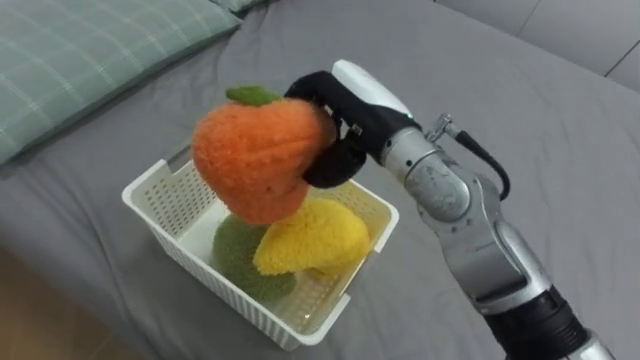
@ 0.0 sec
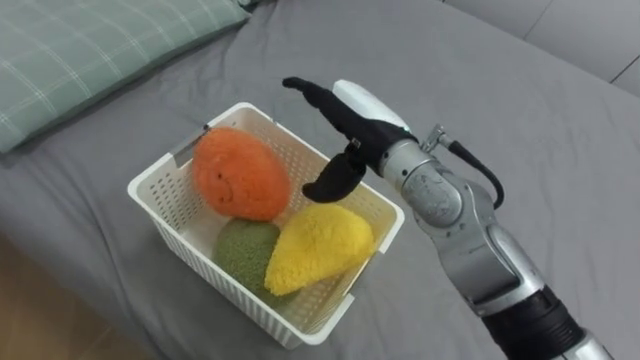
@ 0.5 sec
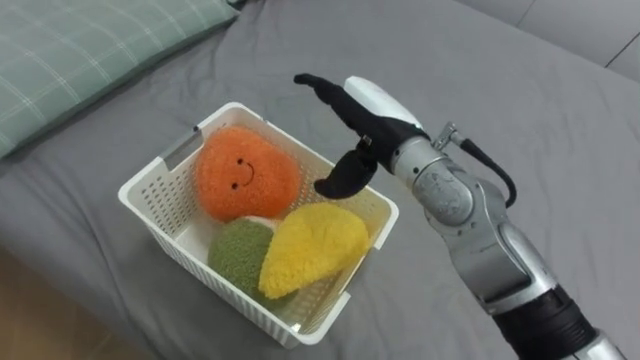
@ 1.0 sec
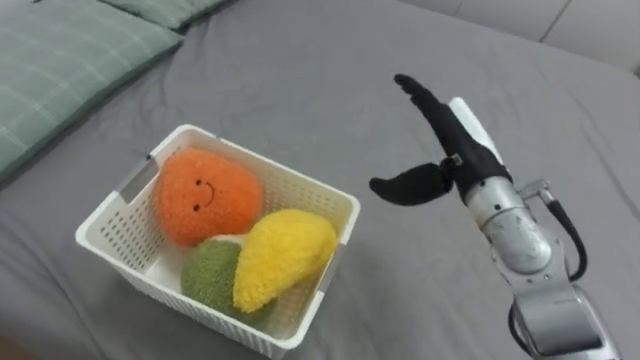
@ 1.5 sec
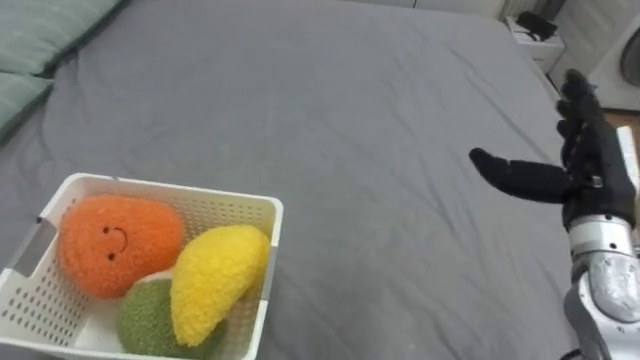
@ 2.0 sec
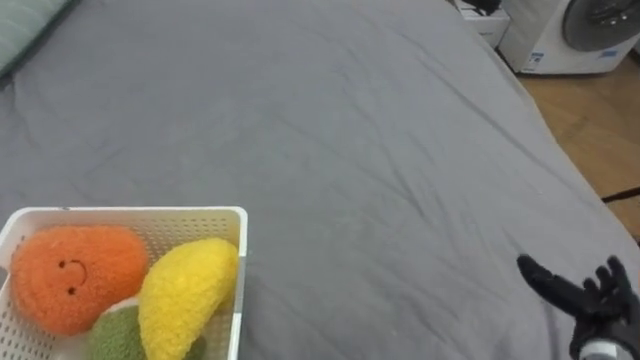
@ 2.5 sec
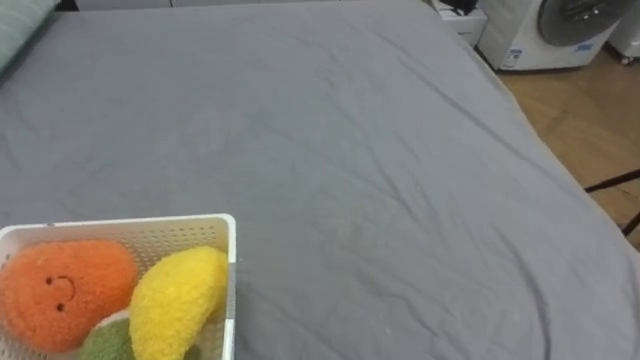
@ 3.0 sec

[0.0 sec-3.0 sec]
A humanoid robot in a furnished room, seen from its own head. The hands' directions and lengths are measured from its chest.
Task of the whole recording: Put the toys on the bed into the basket on the left.
0.0 sec to 1.5 sec: The right hand moves to the right and downward, about 15 cm, and opens up.

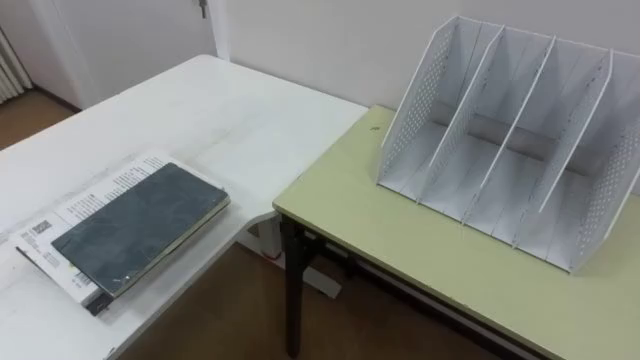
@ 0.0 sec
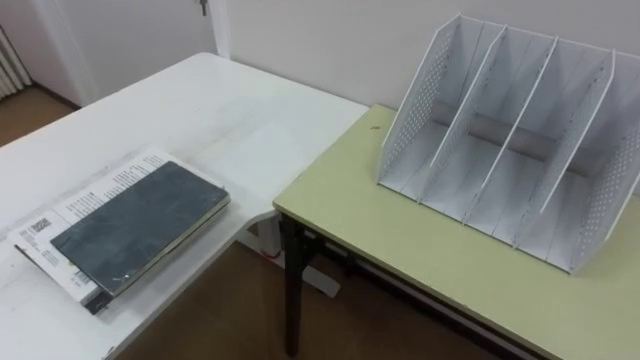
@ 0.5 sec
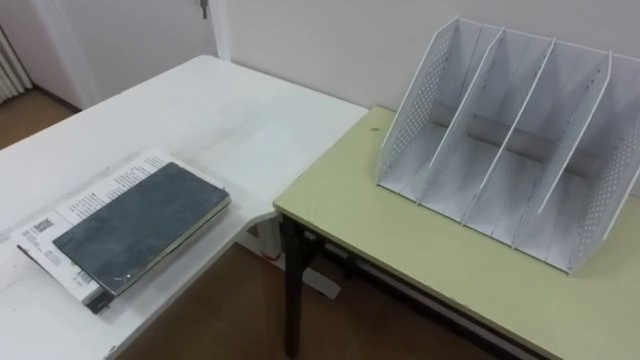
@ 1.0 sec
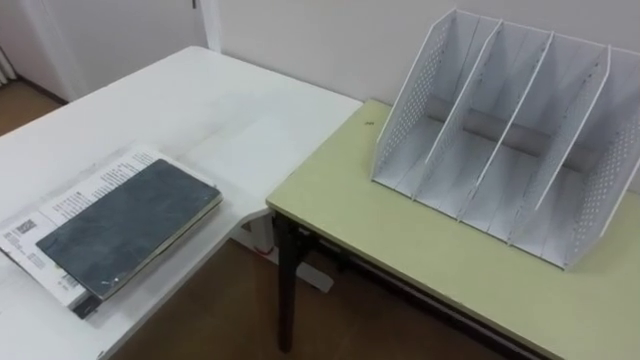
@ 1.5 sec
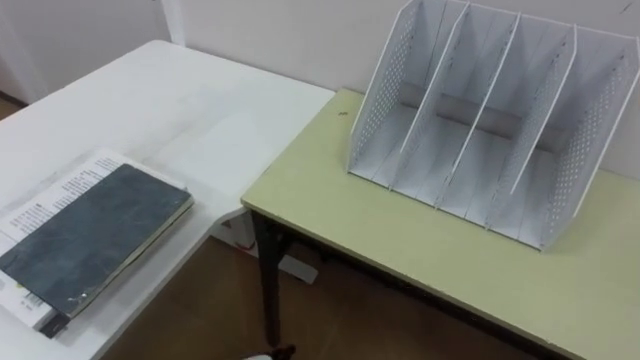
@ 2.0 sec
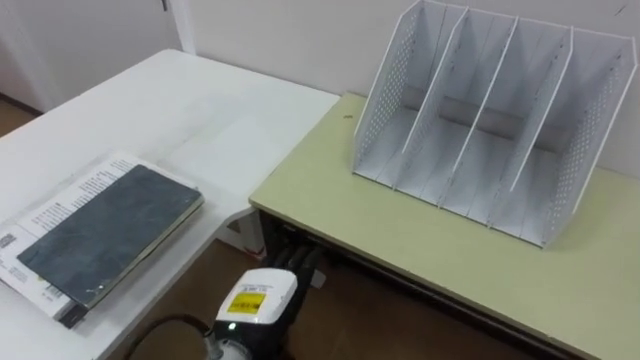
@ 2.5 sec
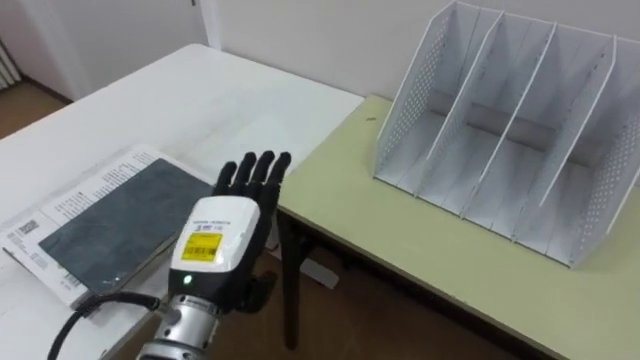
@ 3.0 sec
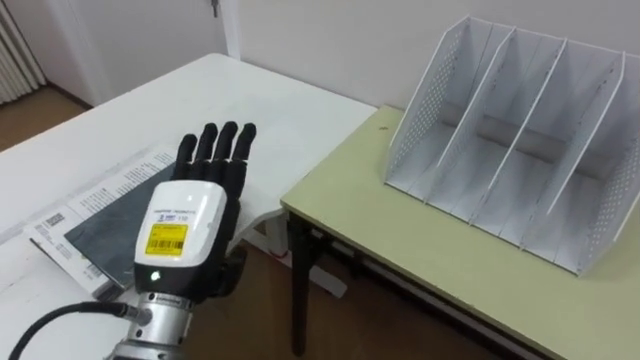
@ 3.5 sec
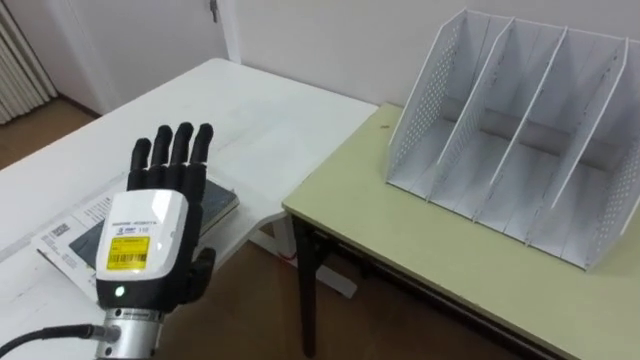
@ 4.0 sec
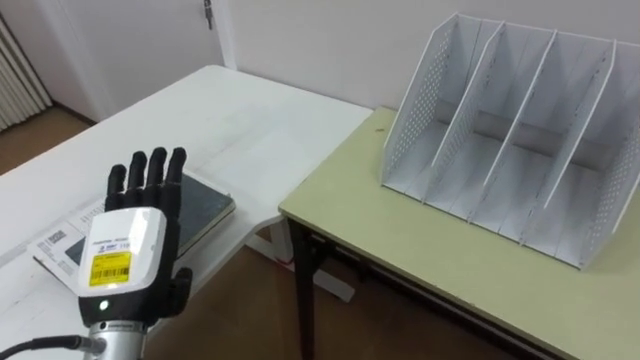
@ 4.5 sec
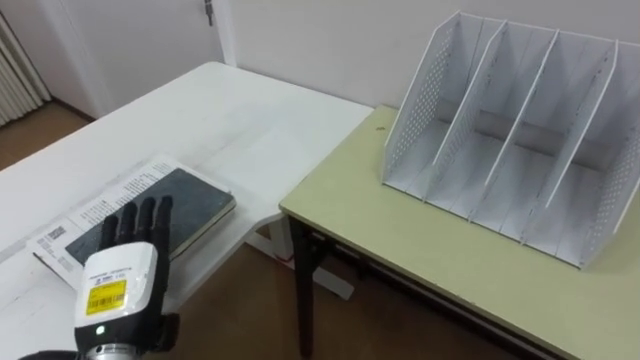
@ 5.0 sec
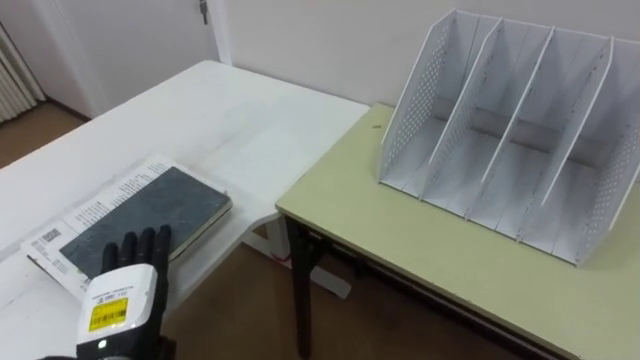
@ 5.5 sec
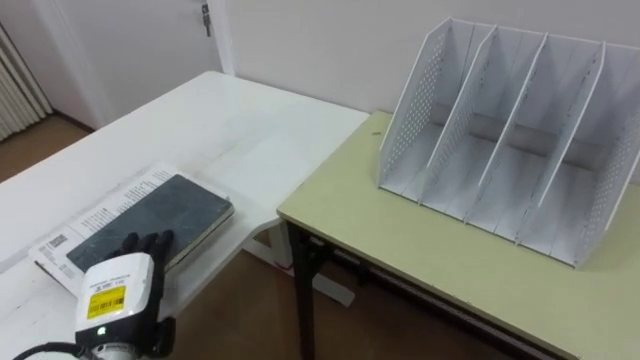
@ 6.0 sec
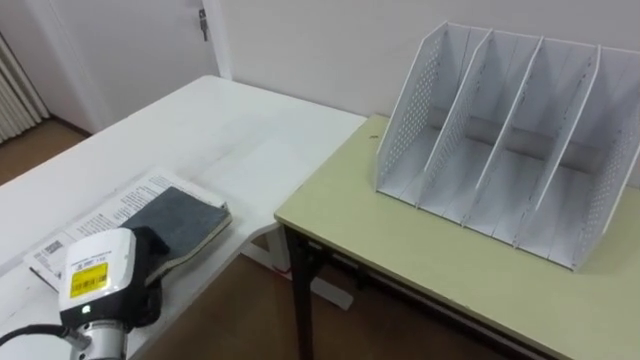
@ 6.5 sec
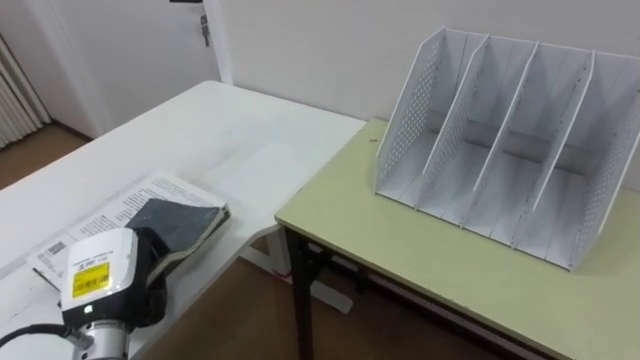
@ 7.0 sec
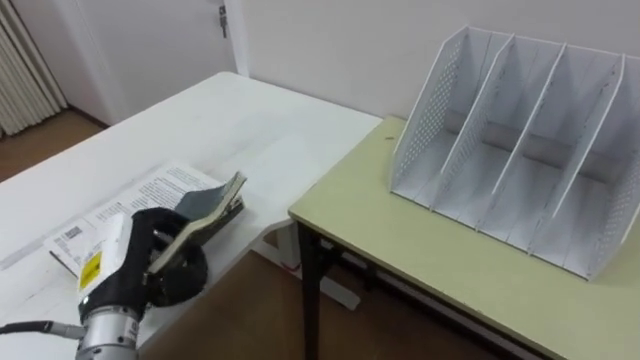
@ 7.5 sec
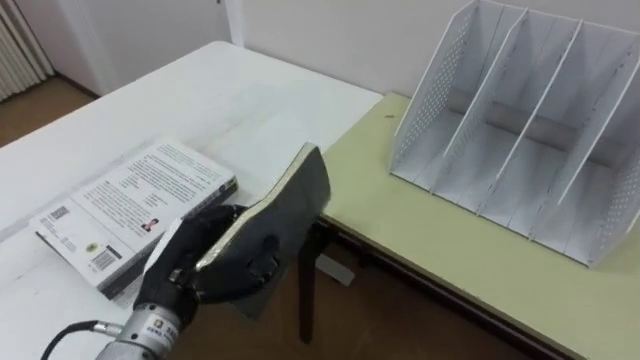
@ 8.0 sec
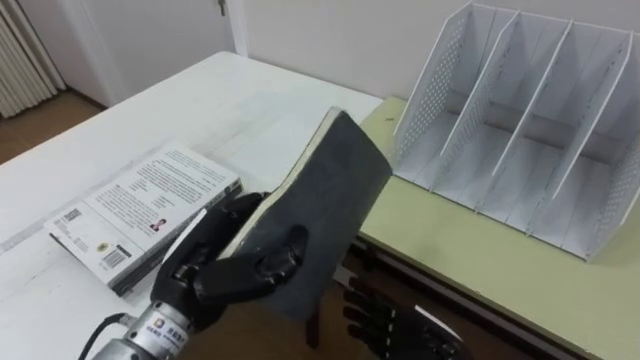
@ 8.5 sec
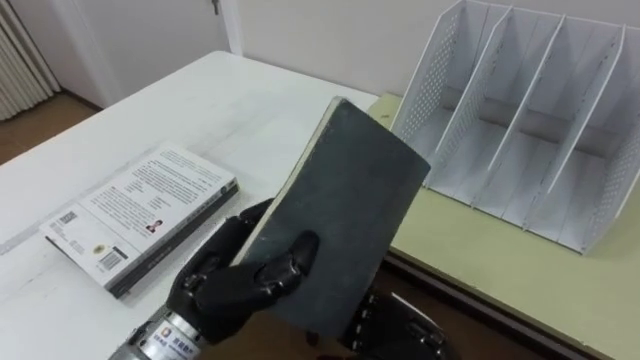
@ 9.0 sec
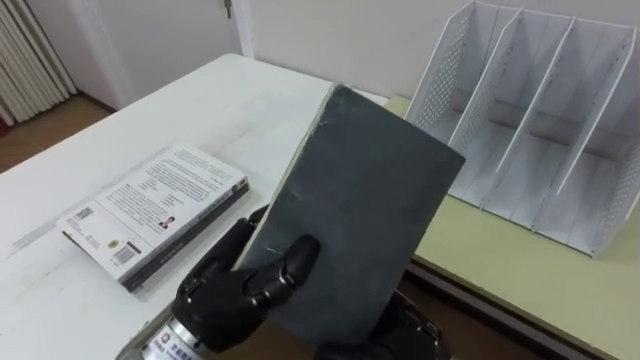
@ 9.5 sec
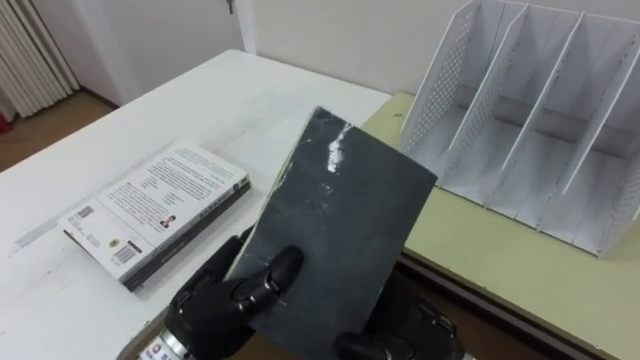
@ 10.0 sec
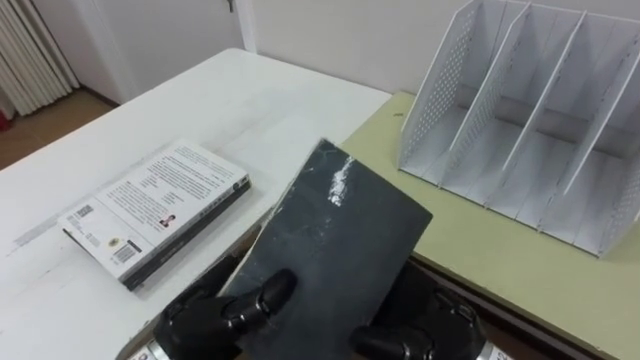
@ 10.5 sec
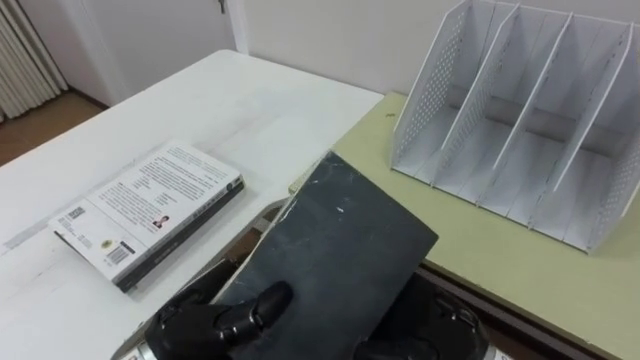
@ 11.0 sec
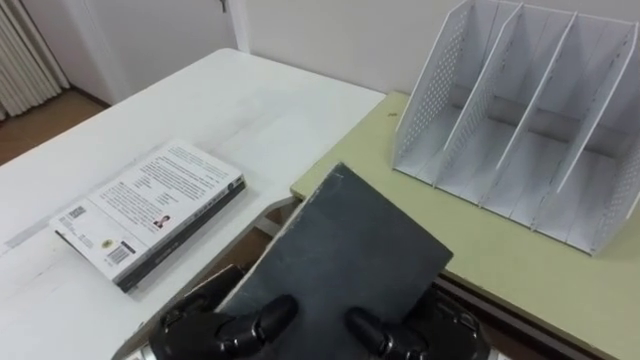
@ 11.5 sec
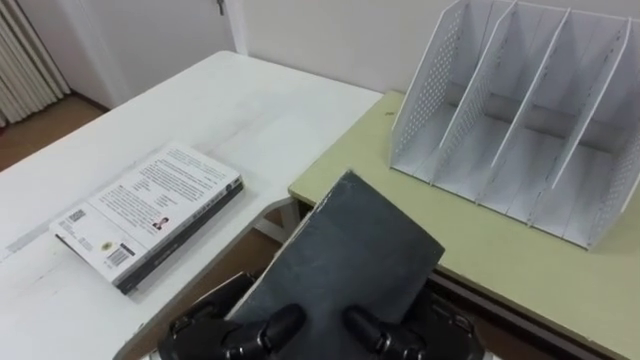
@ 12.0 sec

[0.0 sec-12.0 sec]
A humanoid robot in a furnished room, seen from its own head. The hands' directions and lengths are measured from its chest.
Task of the whole recording: Put the books on the table onto the bookshelf.
4.0 sec to 6.0 sec: The left hand moves downward and to the left, approximately 15 cm.
6.0 sec to 8.0 sec: The left hand travels to the right and upward by roughly 10 cm, and closes up.
8.0 sec to 10.0 sec: The left hand moves to the right, roughly 5 cm.
10.0 sec to 12.0 sec: The right hand closes up.

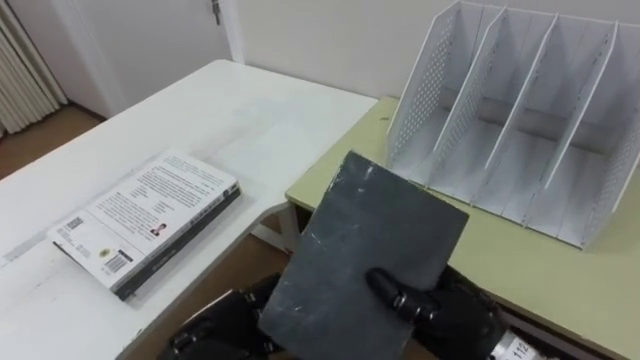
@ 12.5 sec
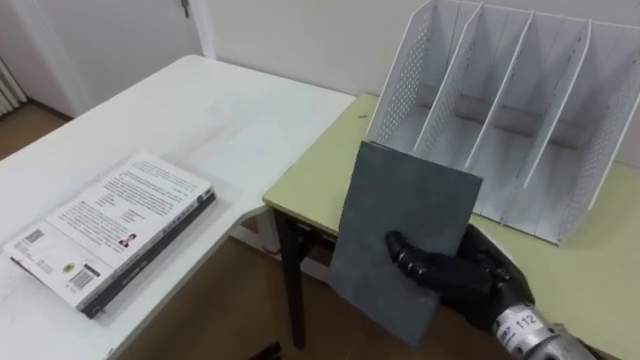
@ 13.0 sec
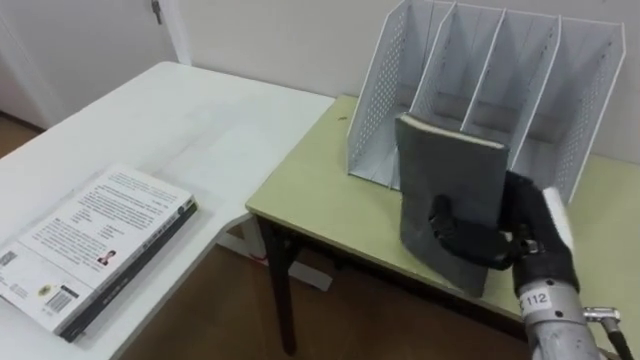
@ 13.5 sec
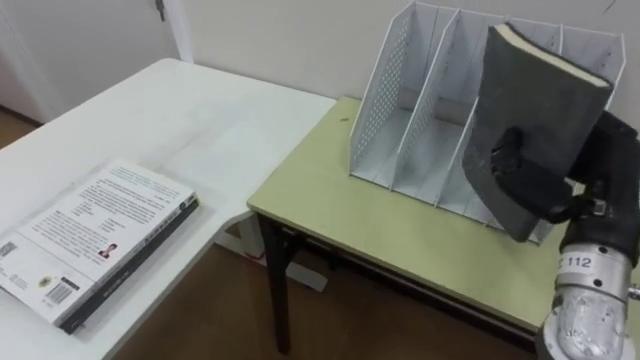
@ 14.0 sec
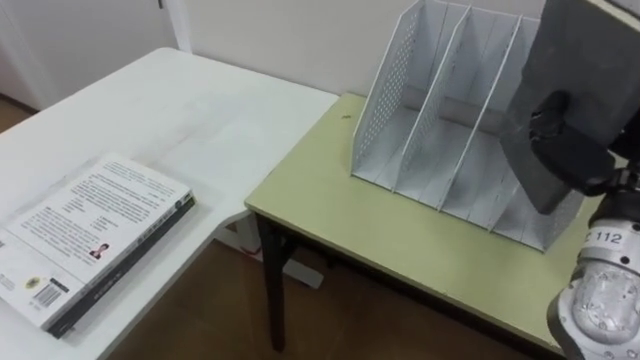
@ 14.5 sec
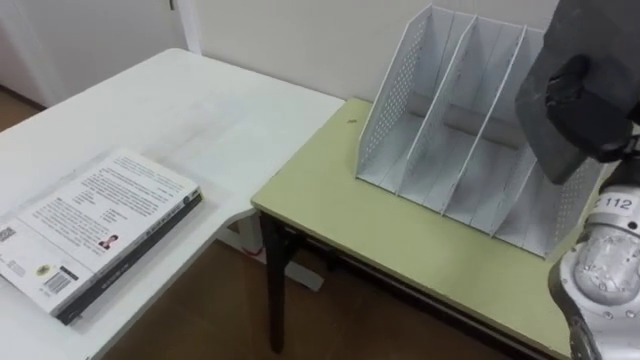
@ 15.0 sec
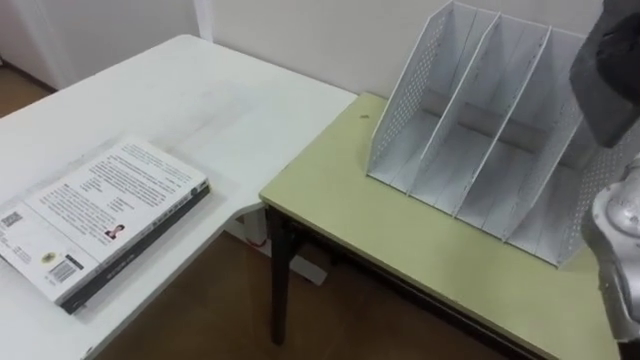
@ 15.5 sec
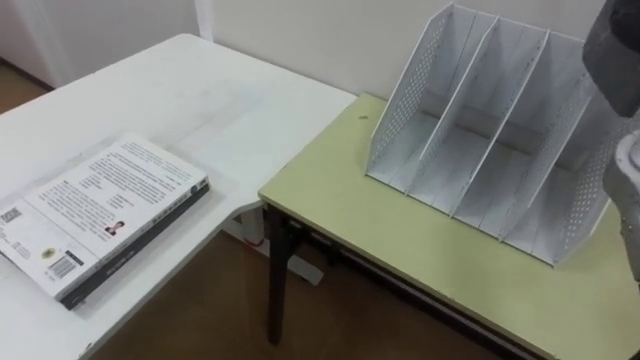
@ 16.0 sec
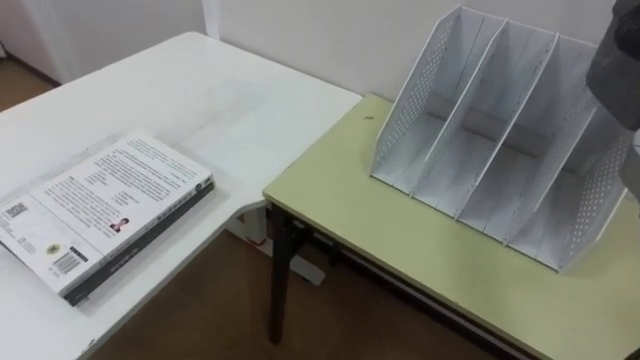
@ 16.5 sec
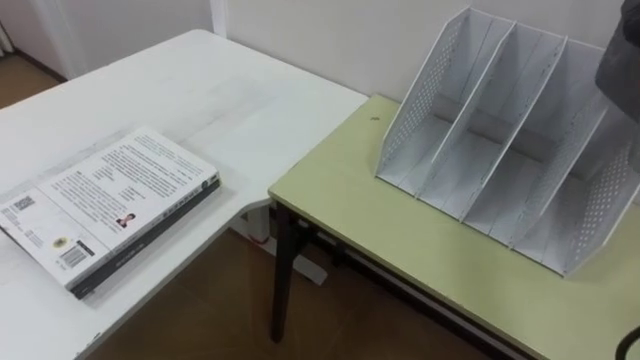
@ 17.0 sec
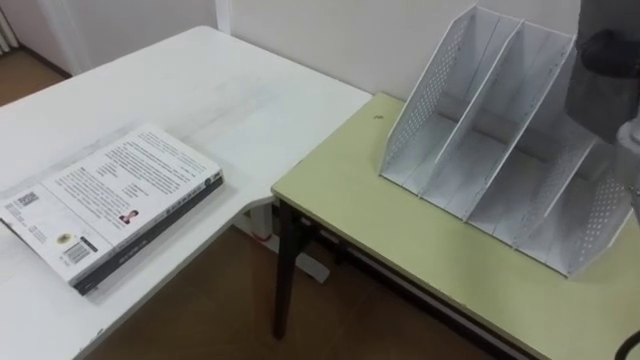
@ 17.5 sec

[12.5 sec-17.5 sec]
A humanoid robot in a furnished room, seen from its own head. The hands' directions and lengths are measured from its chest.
Task of the whole recording: Put the books on the table onto the bookshelf.
12.5 sec to 15.0 sec: The right hand goes some 25 cm to the right and upward.
